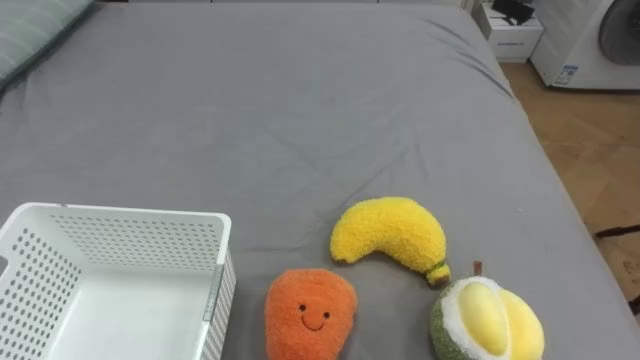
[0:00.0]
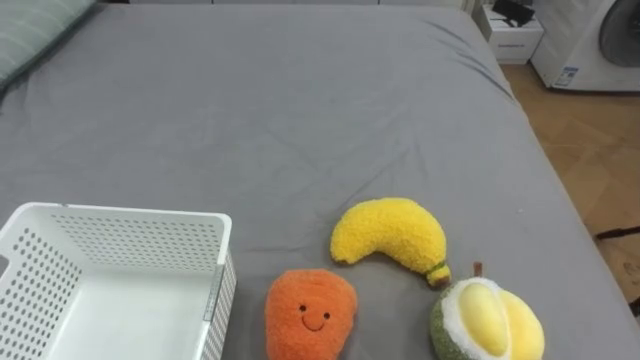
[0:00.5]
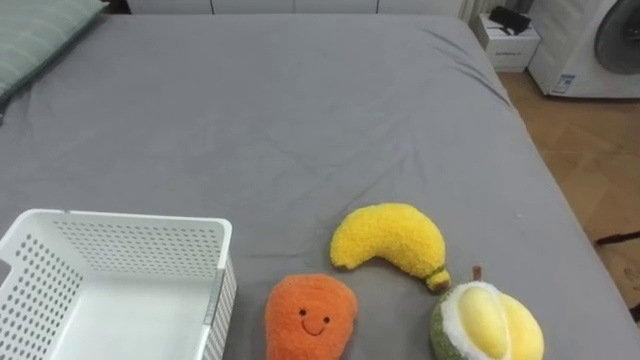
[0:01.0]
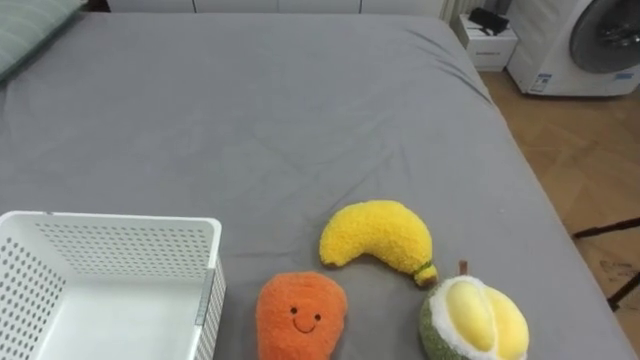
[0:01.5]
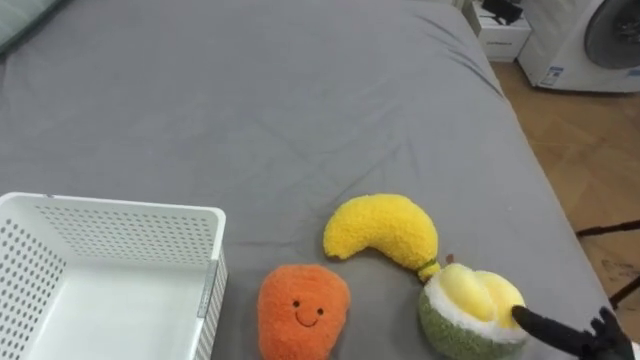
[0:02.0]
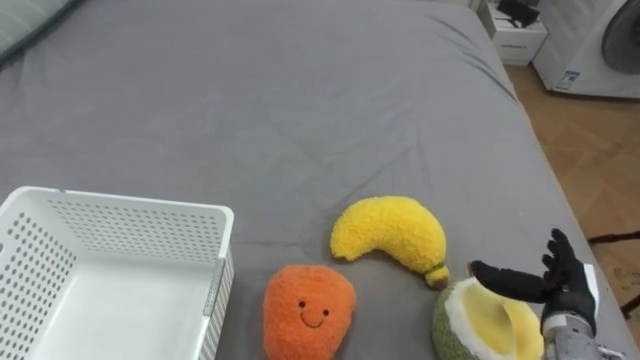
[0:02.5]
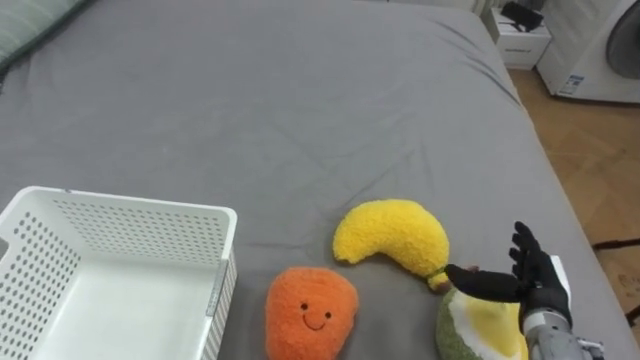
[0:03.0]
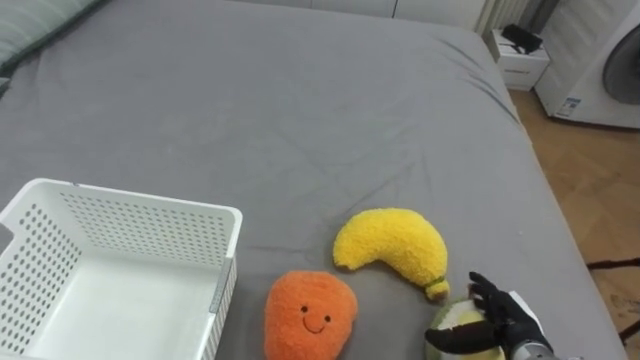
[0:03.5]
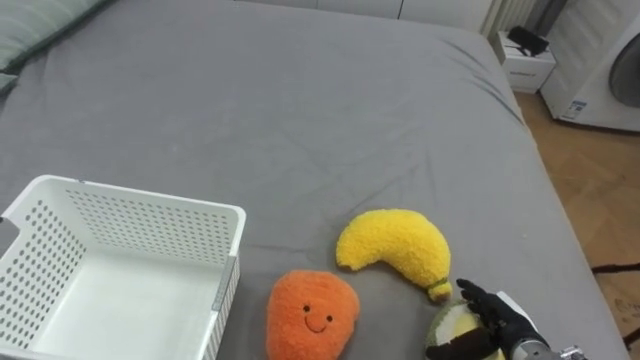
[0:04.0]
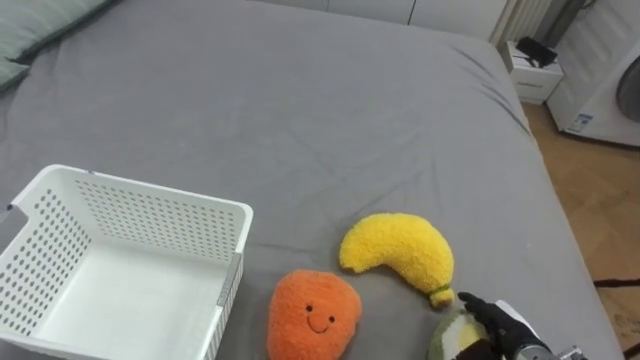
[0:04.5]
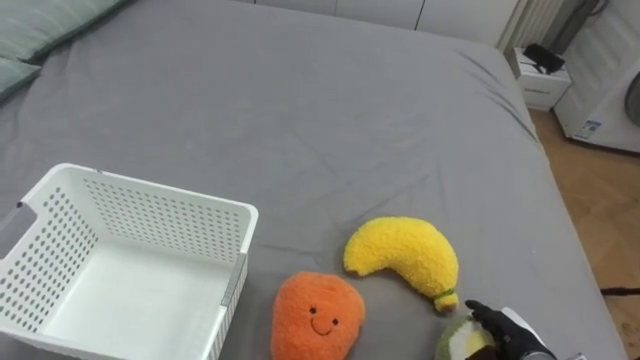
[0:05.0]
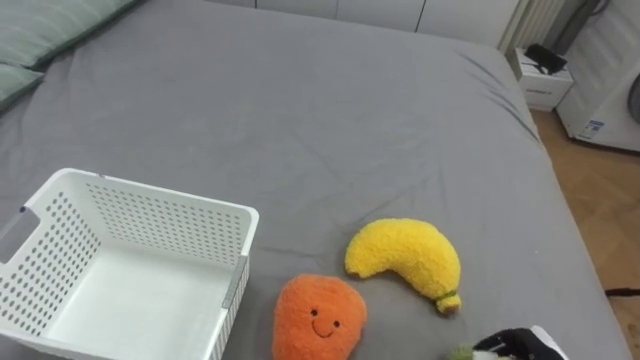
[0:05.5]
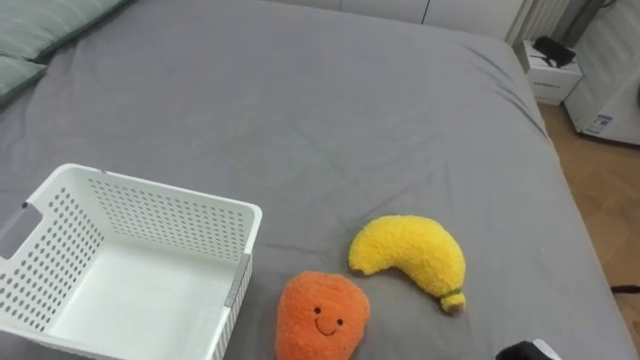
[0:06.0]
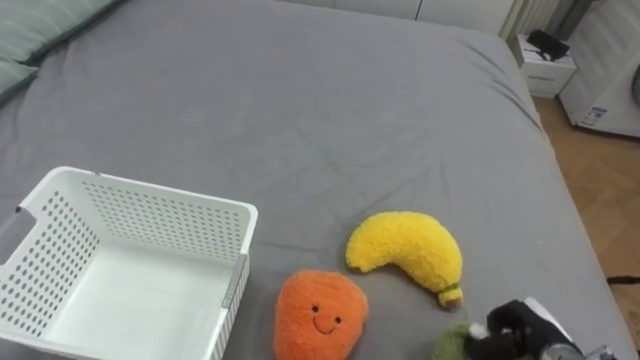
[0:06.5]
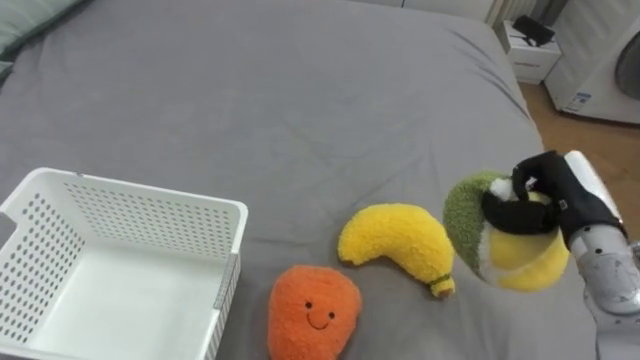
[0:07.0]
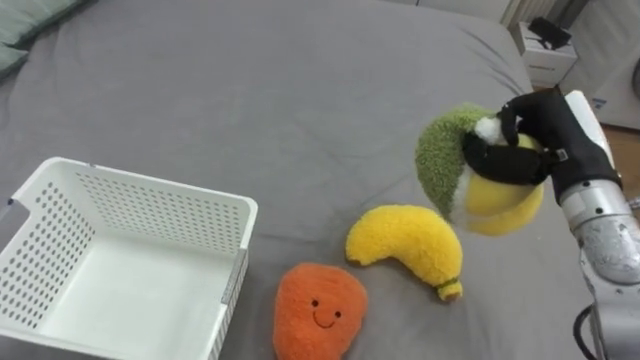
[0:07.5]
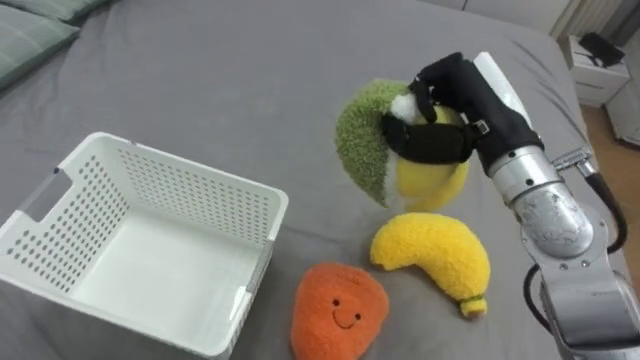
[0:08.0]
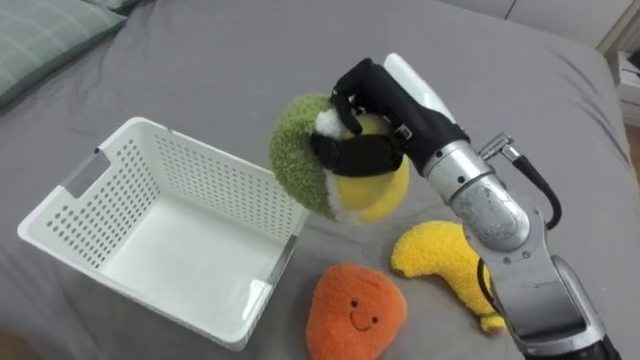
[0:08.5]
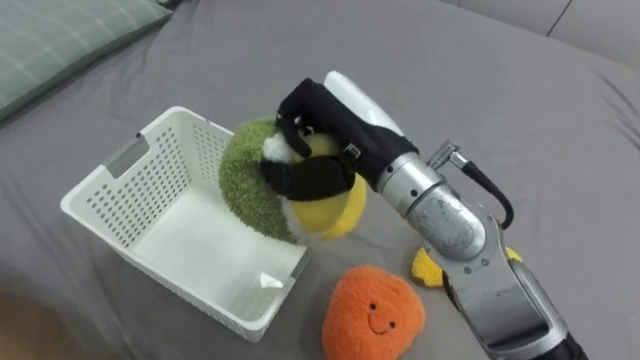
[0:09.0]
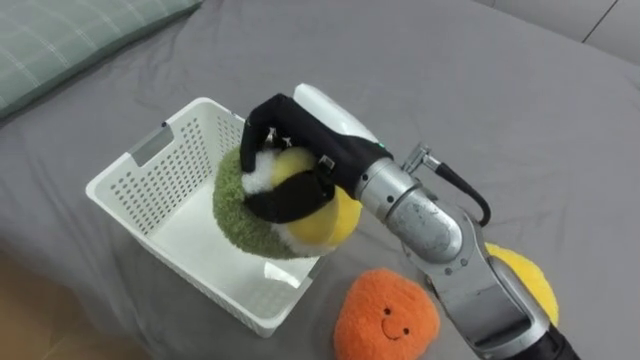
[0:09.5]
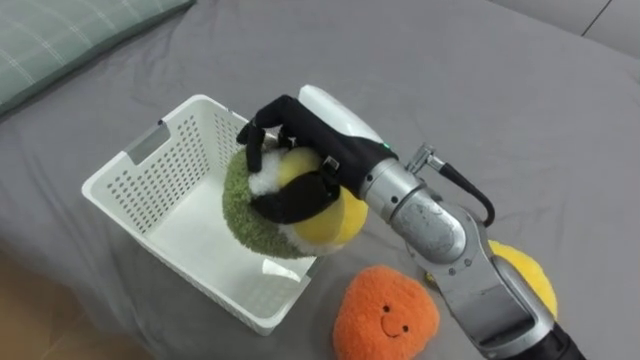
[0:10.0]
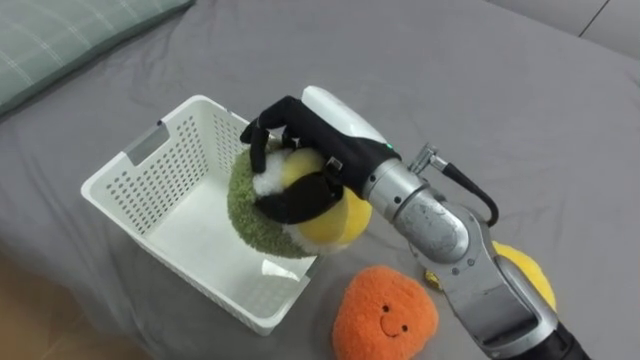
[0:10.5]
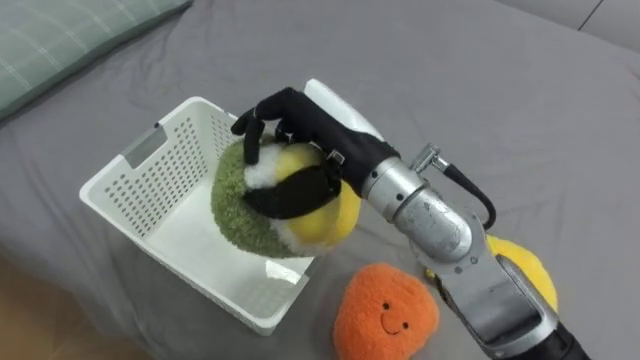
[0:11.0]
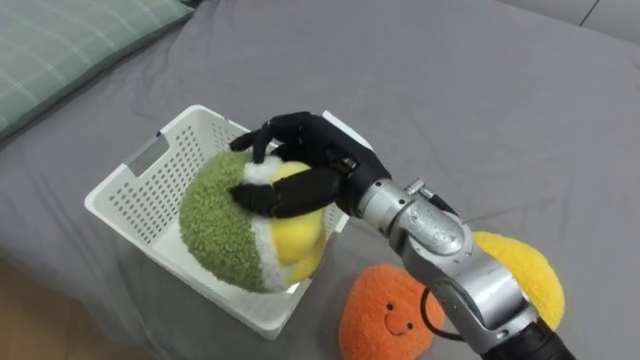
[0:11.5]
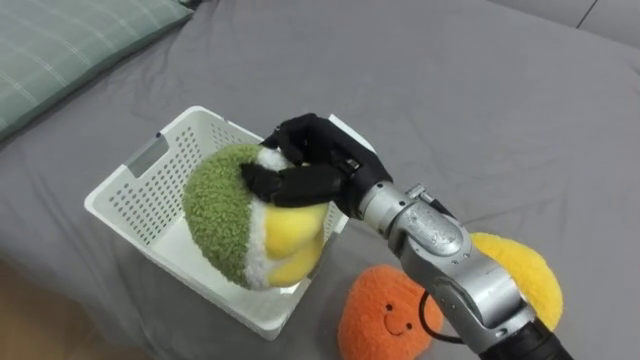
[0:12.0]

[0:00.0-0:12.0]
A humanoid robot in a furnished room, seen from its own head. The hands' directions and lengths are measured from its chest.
Task of the whole recording: Put the toys on the bed into the basket on the left.
0:08.0 to 0:10.0: The right hand heads to the left, covering some 15 cm.
0:10.0 to 0:12.0: The right hand goes approximately 5 cm downward.

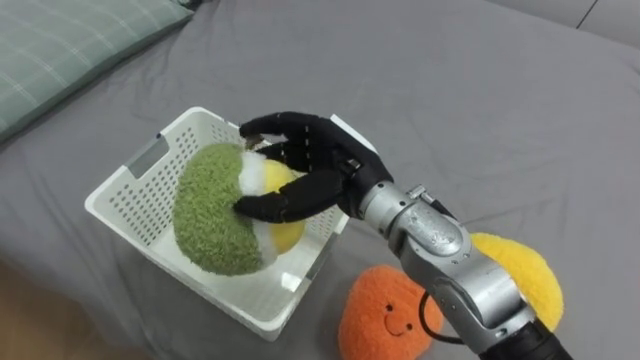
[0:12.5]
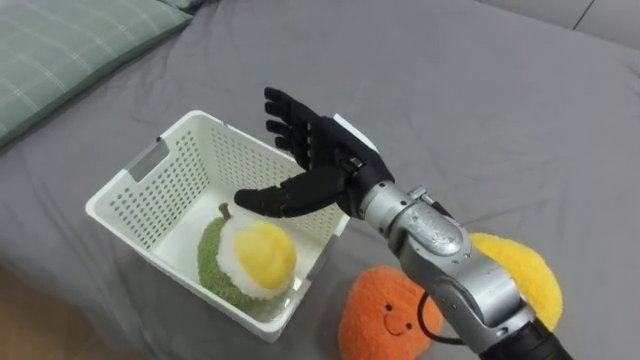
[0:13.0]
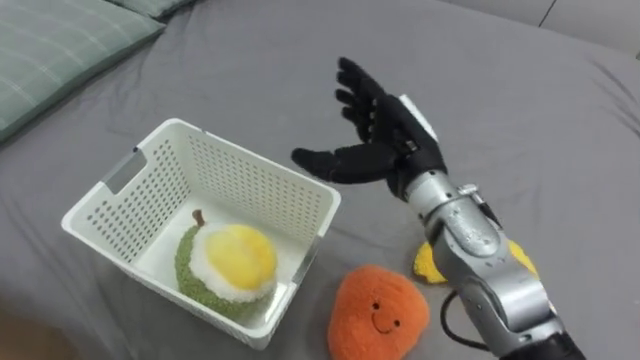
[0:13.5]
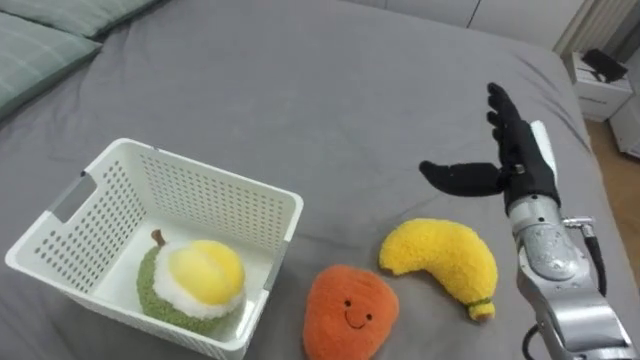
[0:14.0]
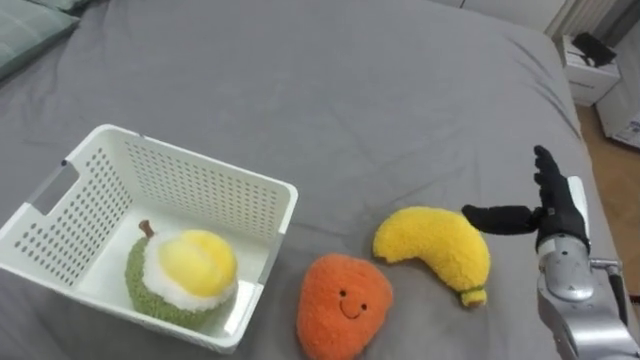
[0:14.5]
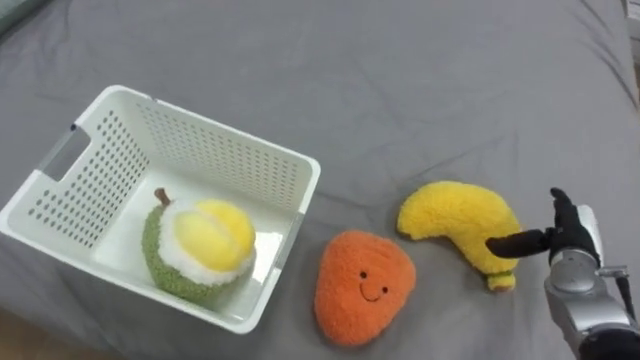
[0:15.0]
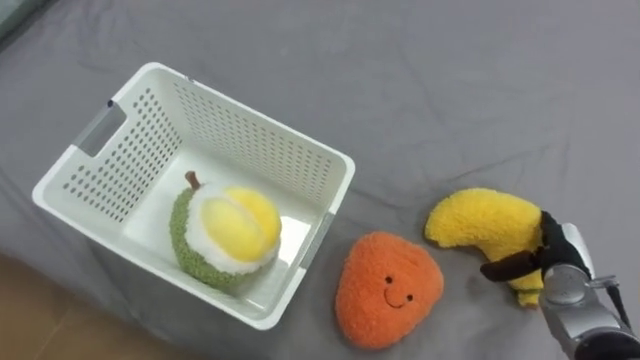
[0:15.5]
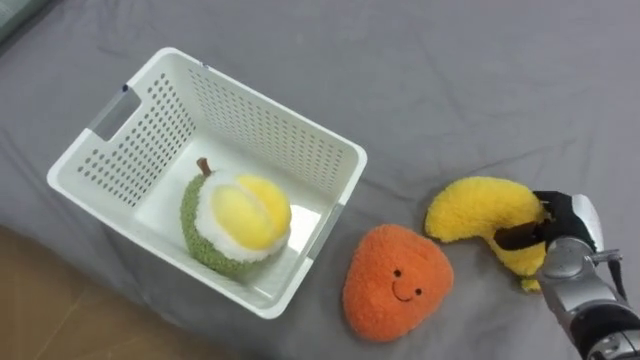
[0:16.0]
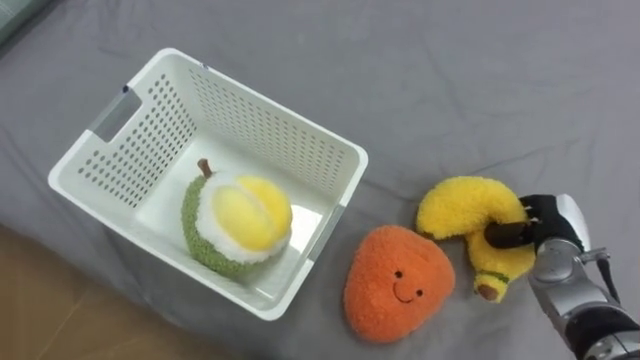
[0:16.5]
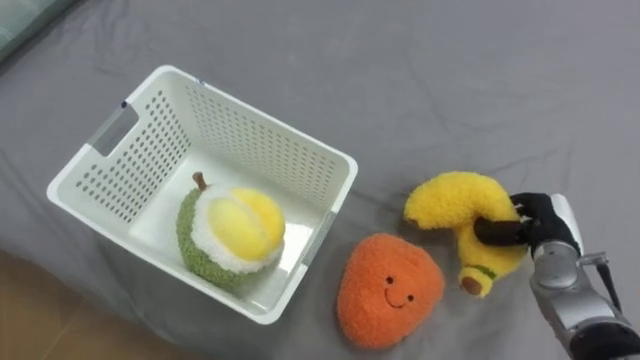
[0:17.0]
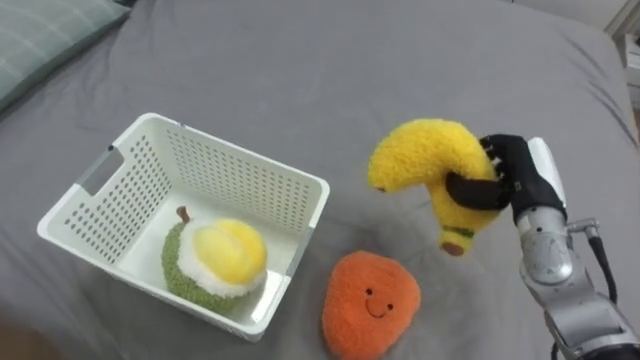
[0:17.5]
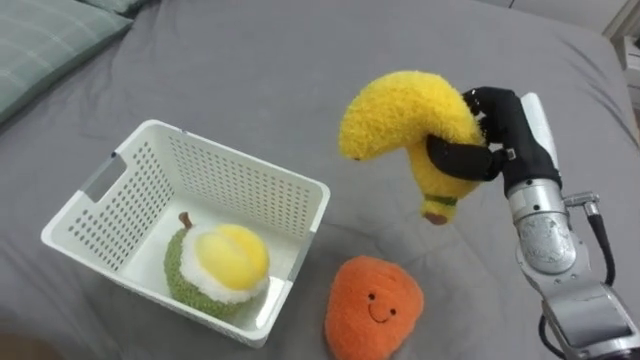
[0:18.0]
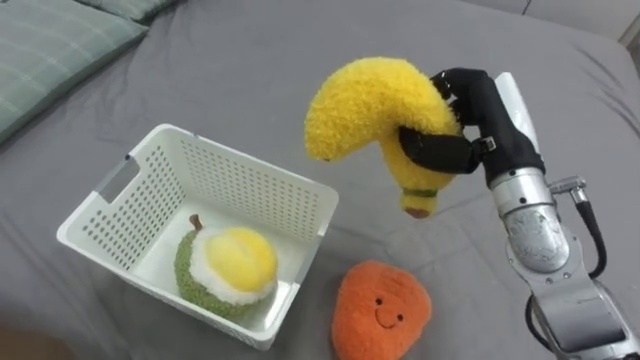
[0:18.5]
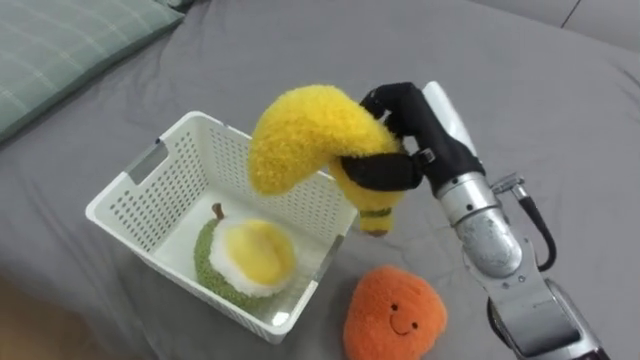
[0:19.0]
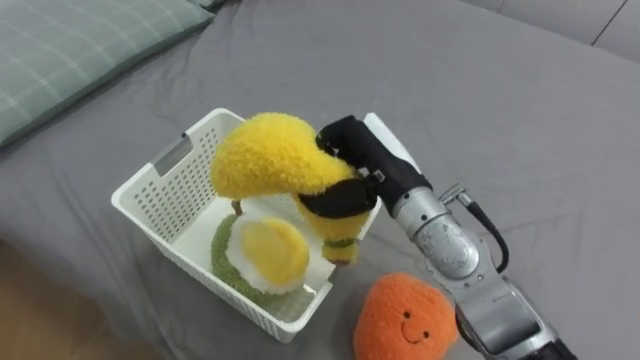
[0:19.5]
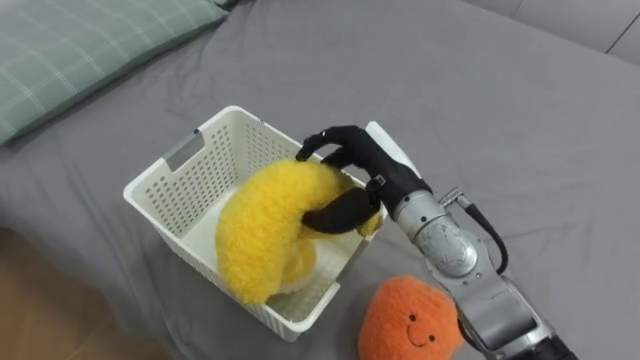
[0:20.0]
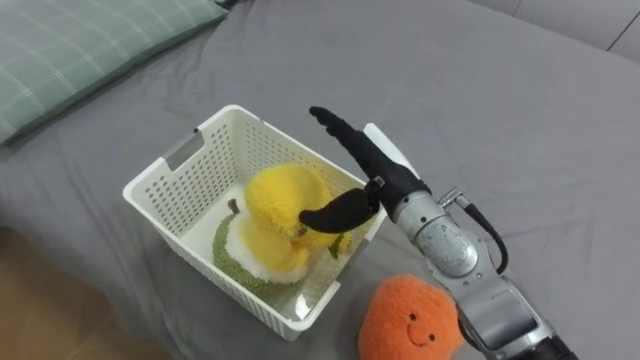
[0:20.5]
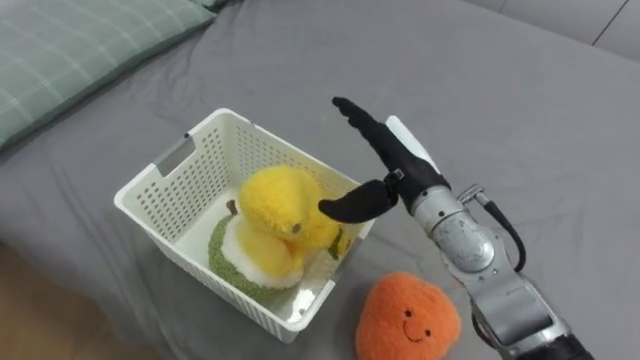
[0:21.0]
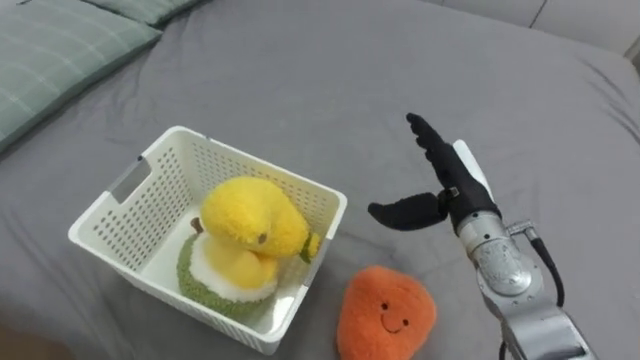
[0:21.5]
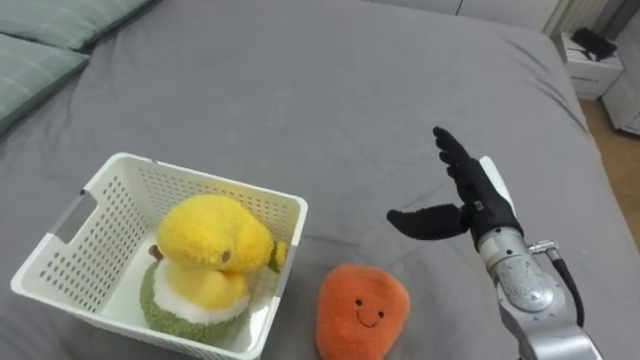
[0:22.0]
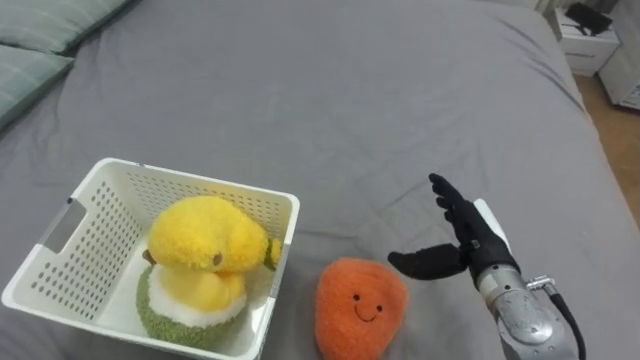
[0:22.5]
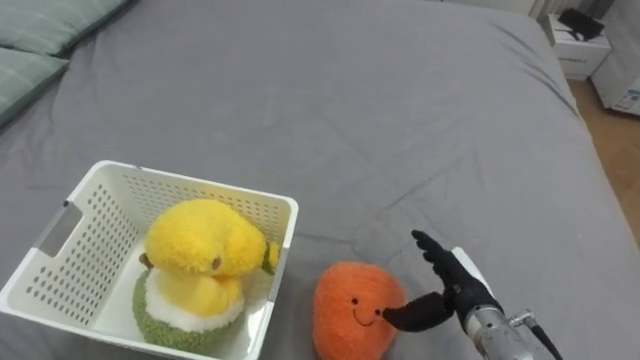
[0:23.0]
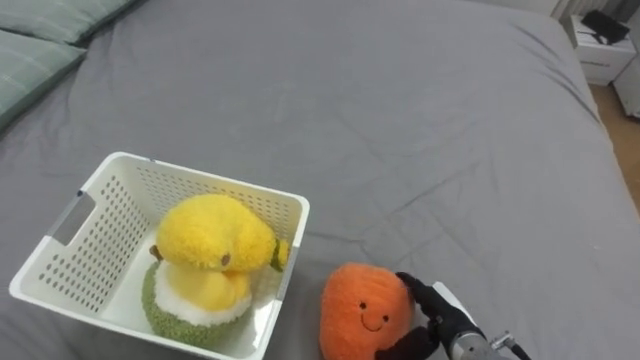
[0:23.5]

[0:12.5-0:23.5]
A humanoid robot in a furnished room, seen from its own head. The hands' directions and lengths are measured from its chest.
Task of the whole recording: Put the toys on the bed into the basket on the left.
0:12.5 to 0:14.5: The right hand is displaced to the right by some 30 cm.
0:14.5 to 0:16.0: The right hand goes roughly 5 cm downward, and closes up.
0:16.0 to 0:18.0: The right hand shifts roughly 20 cm upward and to the left, and closes up.
0:18.0 to 0:20.0: The right hand shifts roughly 15 cm to the left, and opens.
0:20.0 to 0:21.5: The right hand is displaced to the right by approximately 10 cm.
0:21.5 to 0:23.5: The right hand travels downward and backward by some 20 cm.
